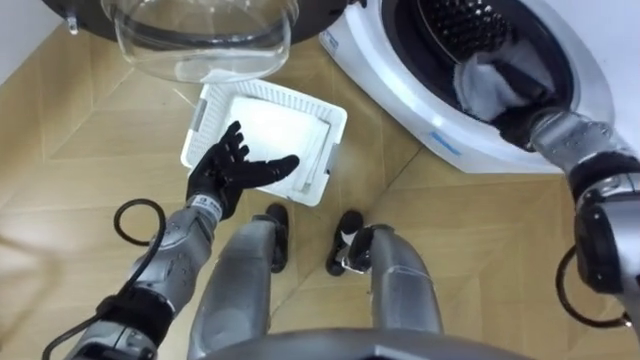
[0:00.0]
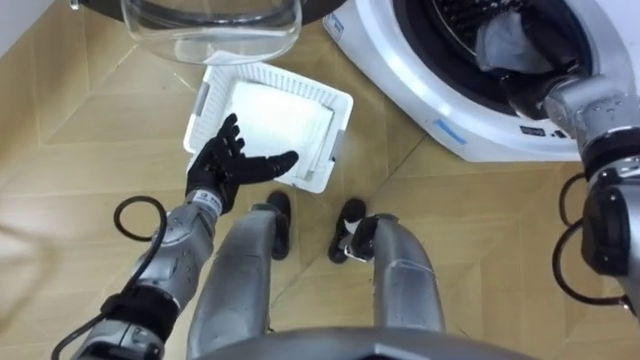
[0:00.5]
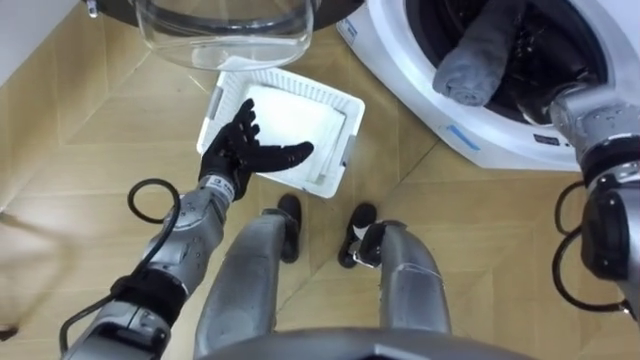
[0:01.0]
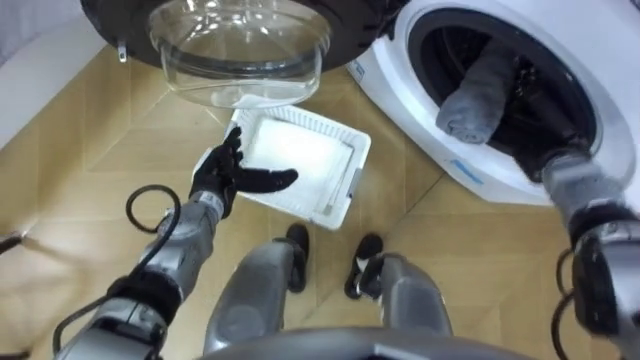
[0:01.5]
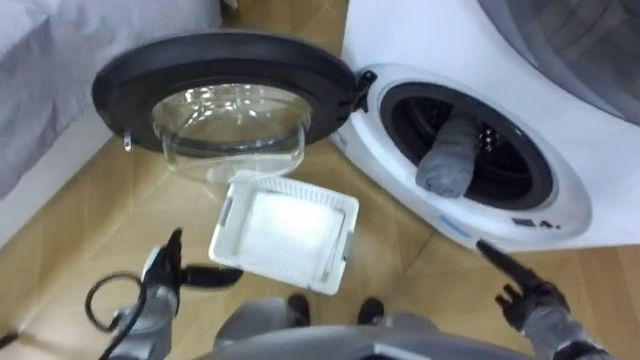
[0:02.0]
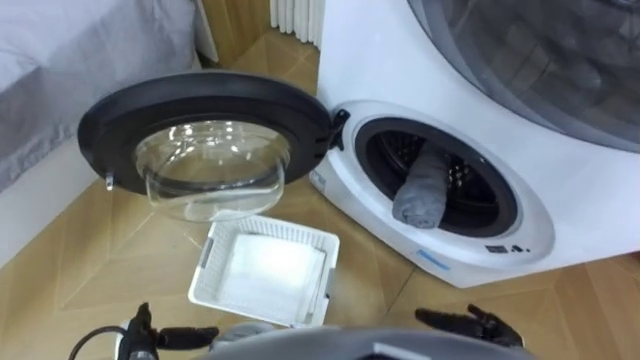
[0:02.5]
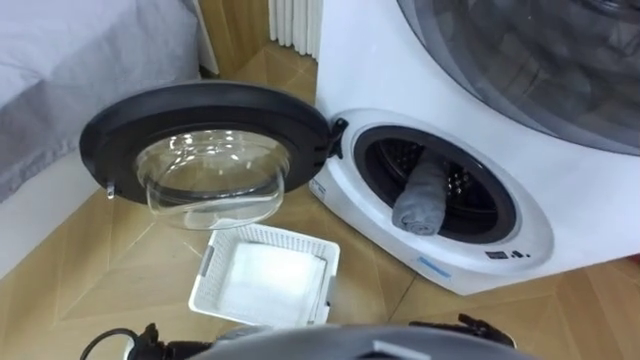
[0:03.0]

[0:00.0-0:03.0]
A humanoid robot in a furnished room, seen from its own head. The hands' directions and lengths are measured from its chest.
Task of the whole recording: Take the towel from the basket and put it into the washing machine.
0:00.0 to 0:01.5: The right hand changes place by some 5 cm, and opens.
0:01.5 to 0:03.0: The right hand is displaced backward and downward by approximately 30 cm.

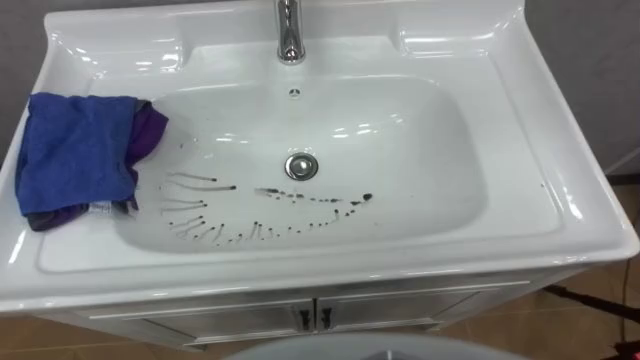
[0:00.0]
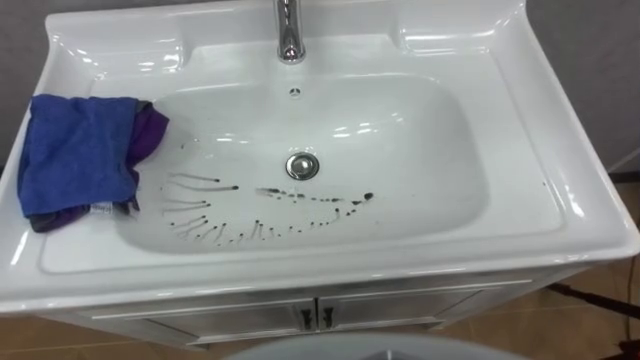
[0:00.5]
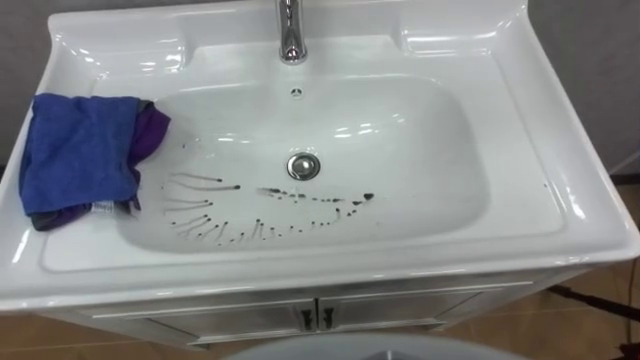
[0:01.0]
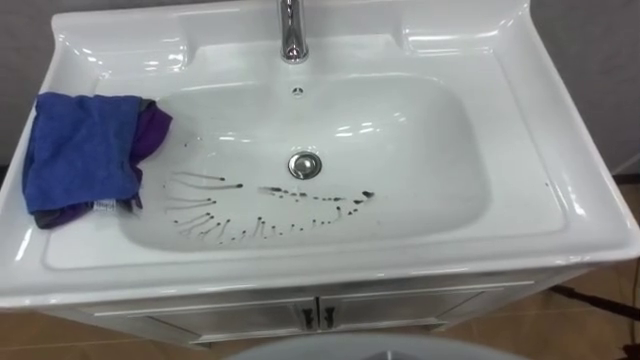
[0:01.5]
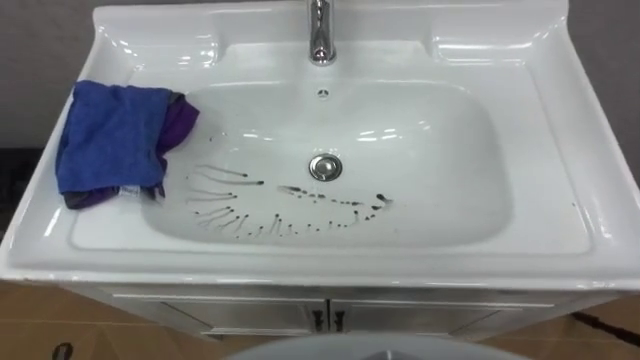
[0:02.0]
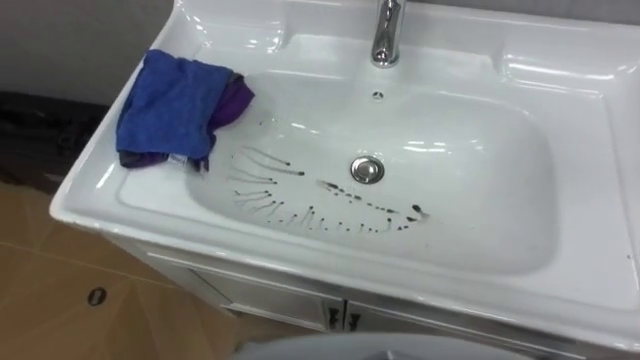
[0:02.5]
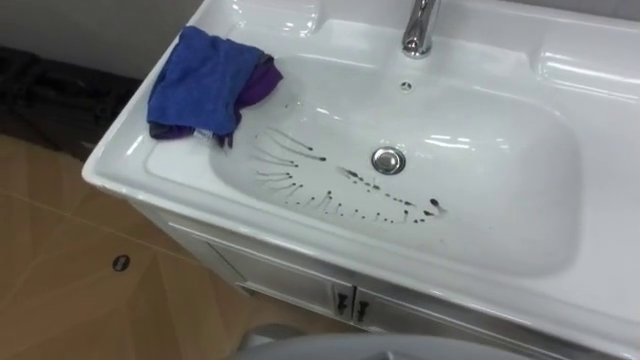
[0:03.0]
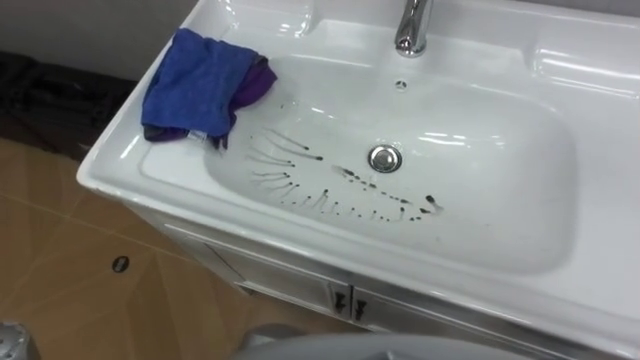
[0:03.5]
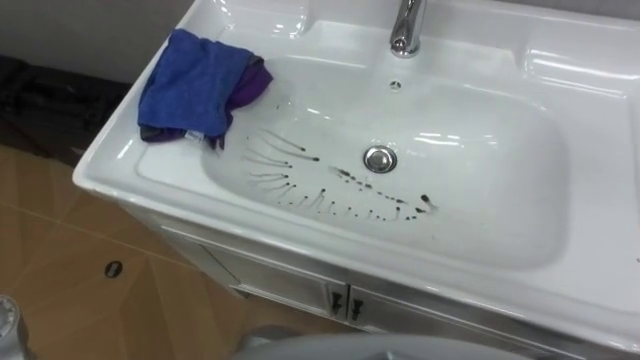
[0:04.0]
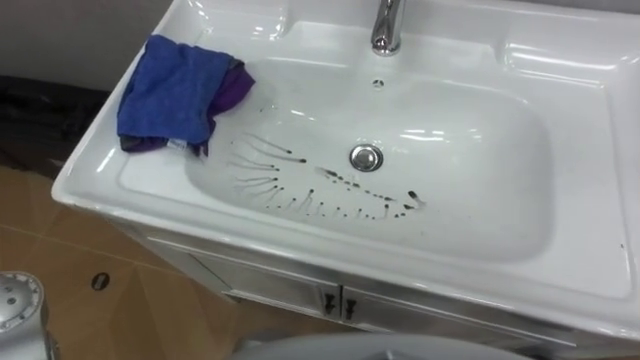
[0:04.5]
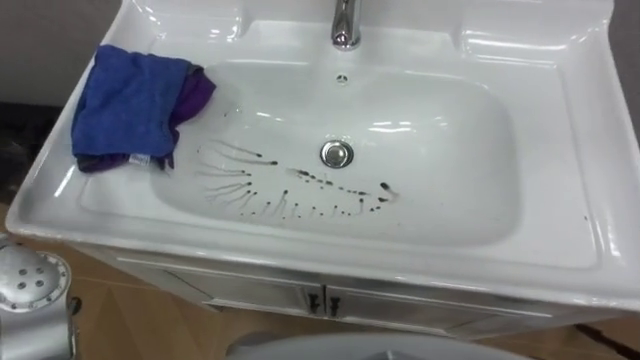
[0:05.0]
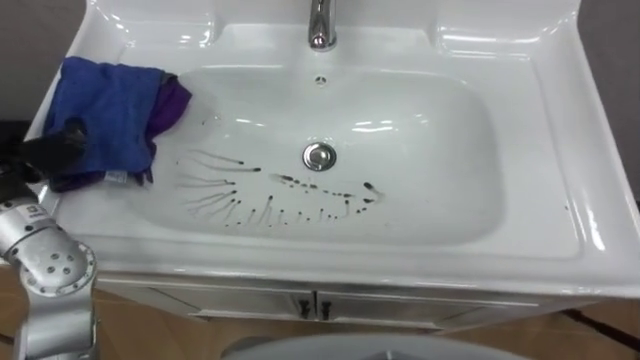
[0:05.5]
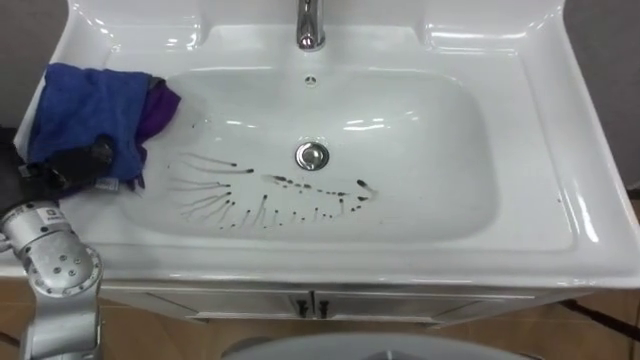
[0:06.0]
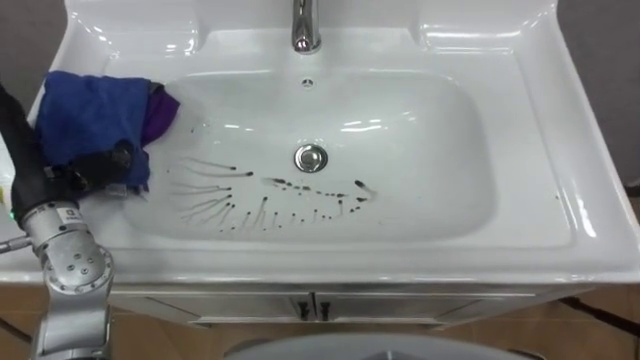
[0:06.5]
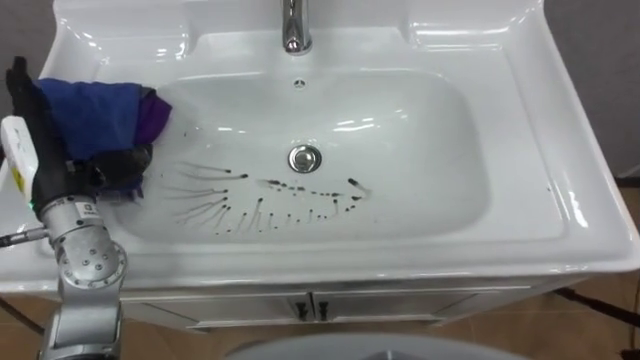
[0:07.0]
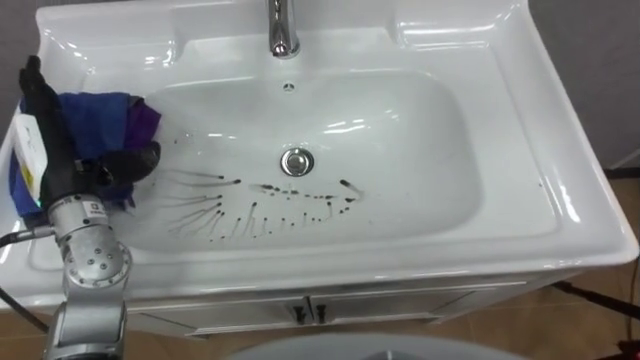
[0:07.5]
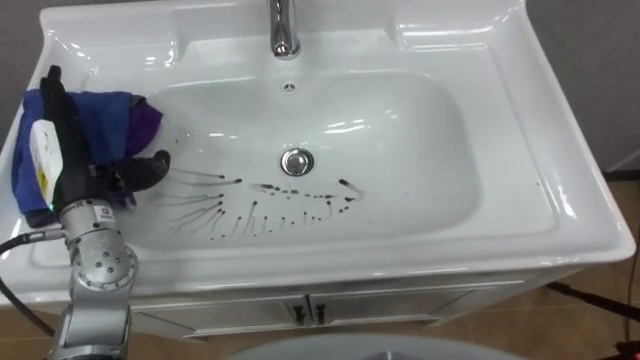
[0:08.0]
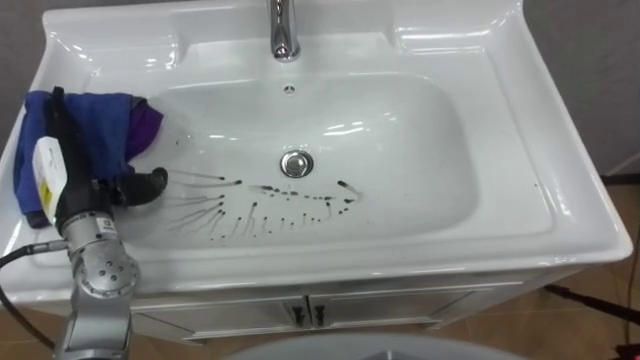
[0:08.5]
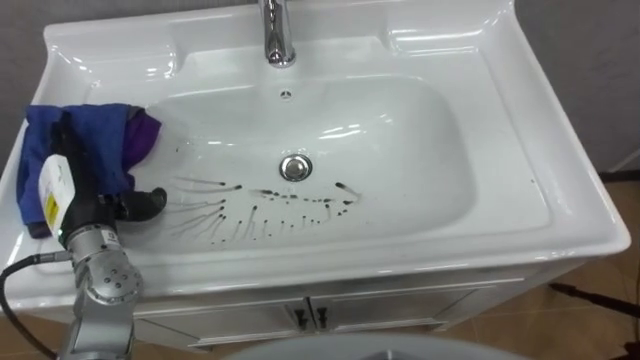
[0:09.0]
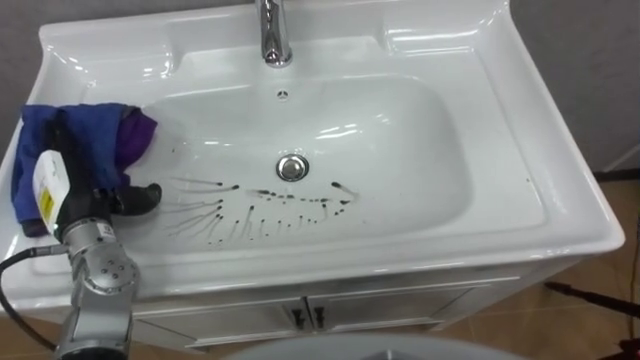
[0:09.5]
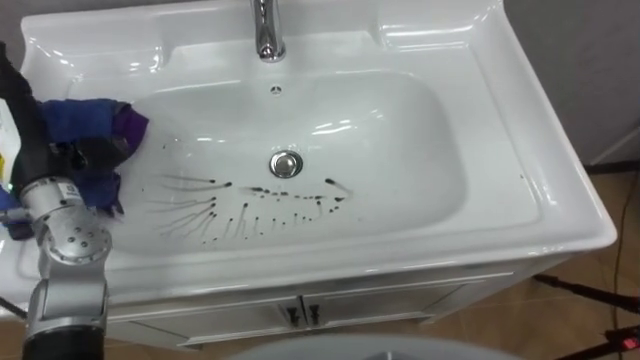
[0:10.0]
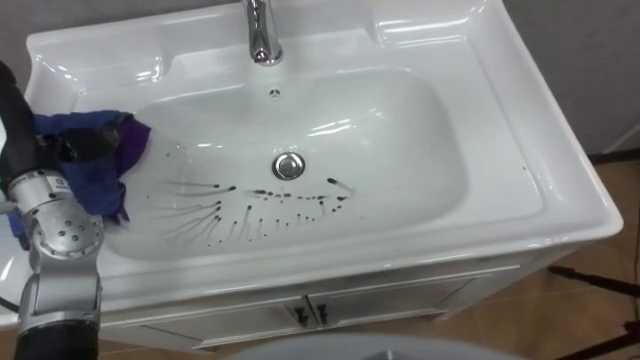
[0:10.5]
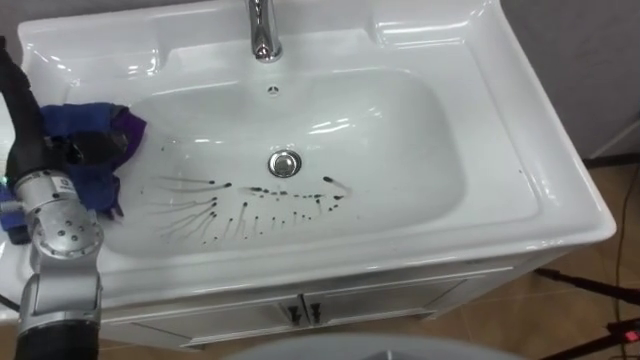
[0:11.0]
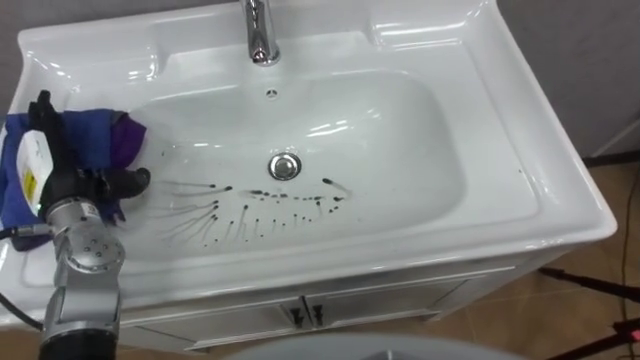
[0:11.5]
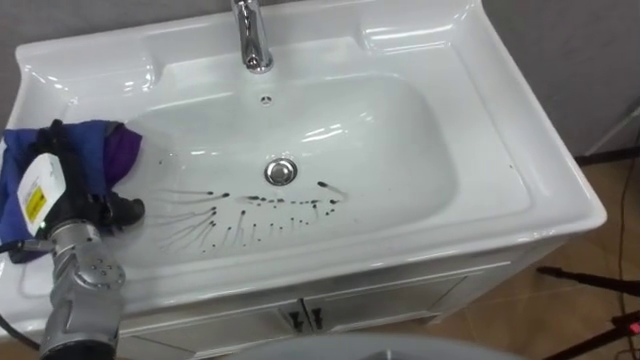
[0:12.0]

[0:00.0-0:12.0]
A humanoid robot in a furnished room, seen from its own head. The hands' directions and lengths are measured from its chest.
Task of the whole recording: Use the cloth on the right to wipe away the black stain in the sink.
0:10.0 to 0:12.0: The left hand shifts roughly 10 cm downward.

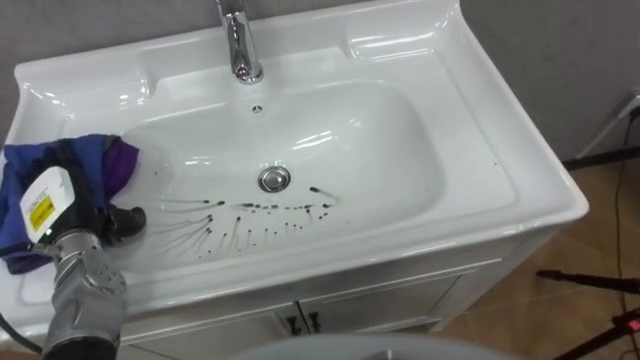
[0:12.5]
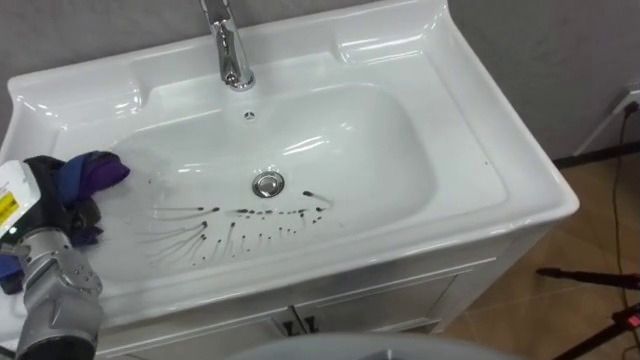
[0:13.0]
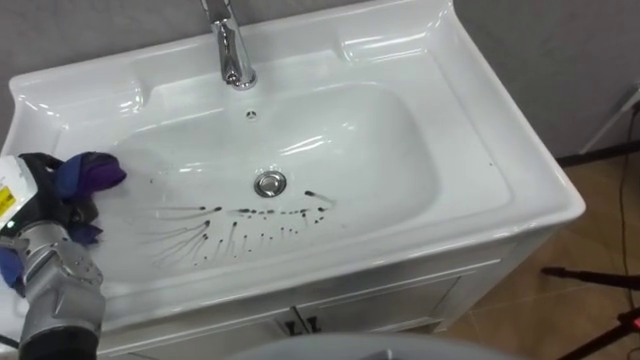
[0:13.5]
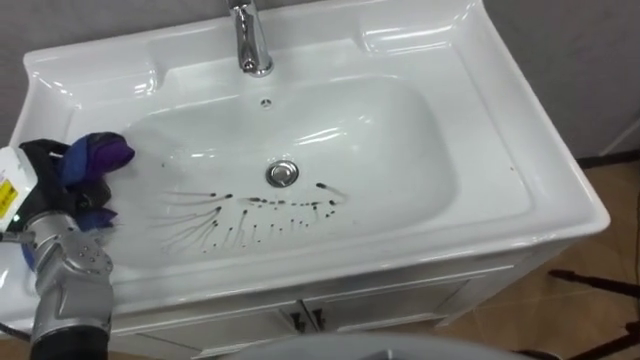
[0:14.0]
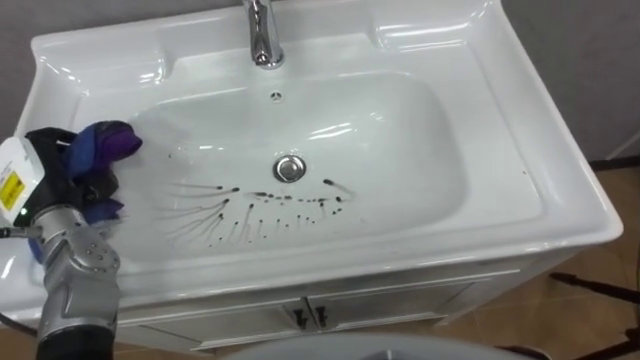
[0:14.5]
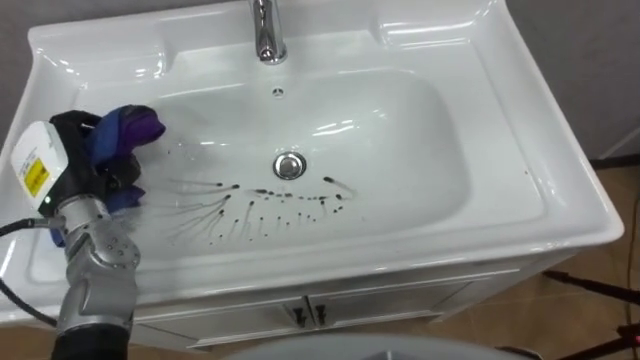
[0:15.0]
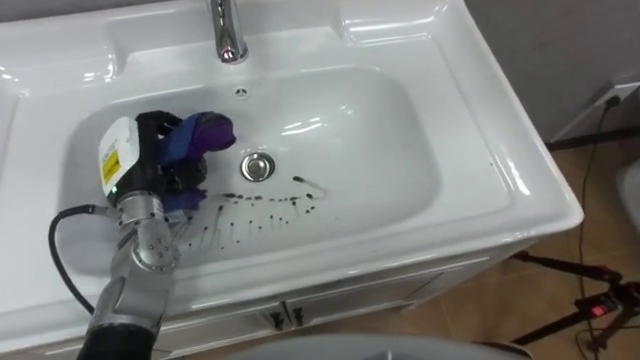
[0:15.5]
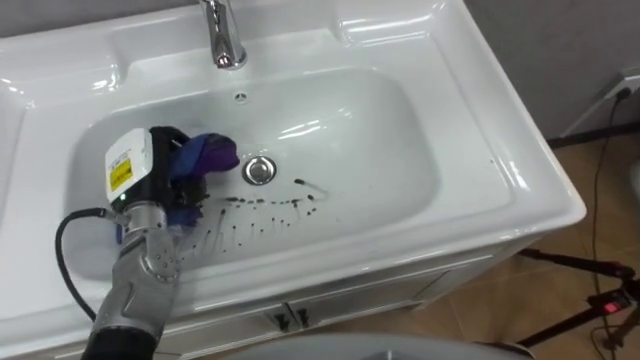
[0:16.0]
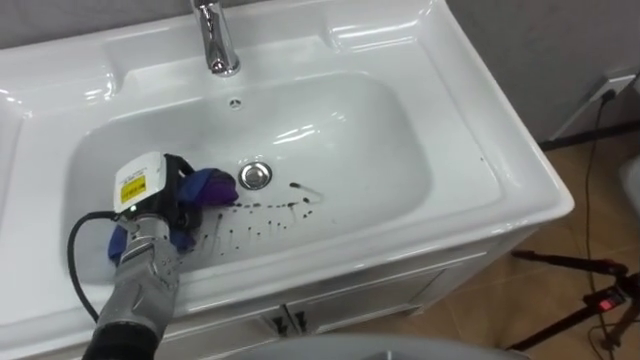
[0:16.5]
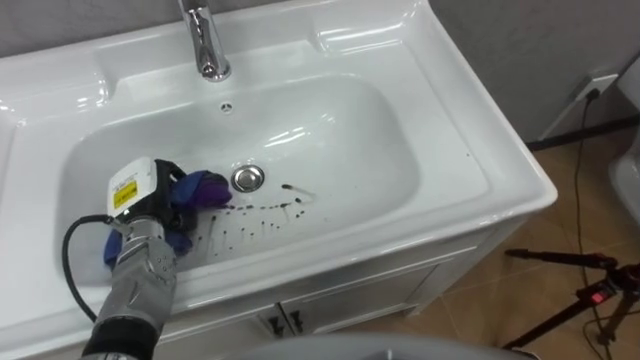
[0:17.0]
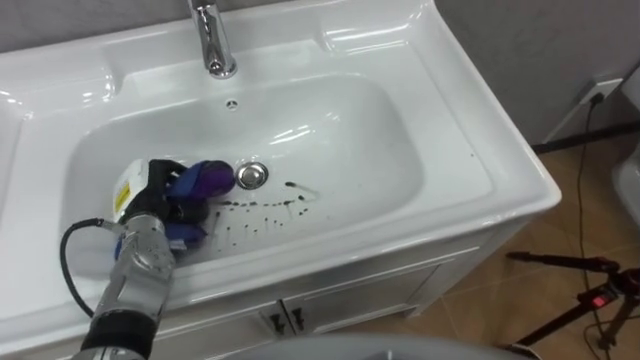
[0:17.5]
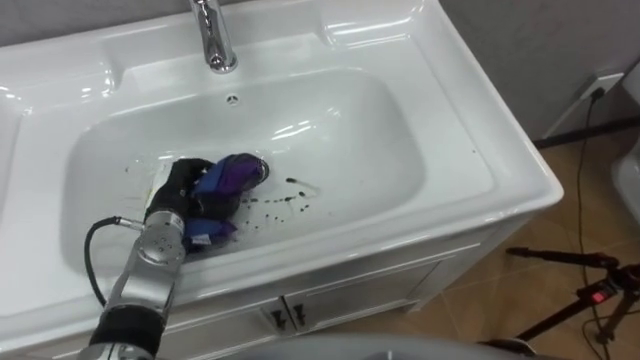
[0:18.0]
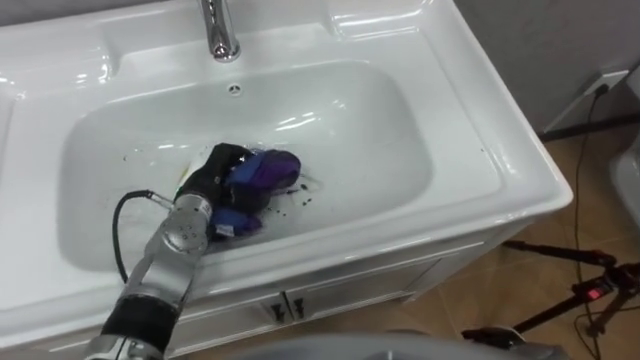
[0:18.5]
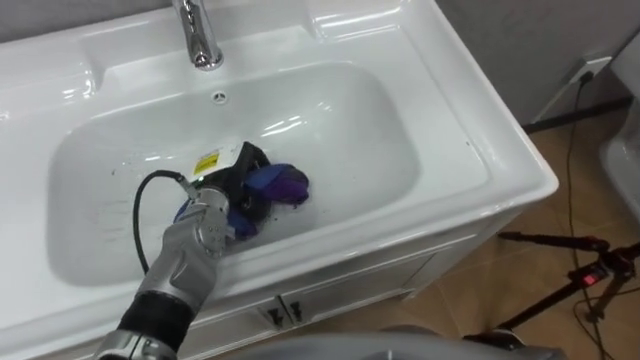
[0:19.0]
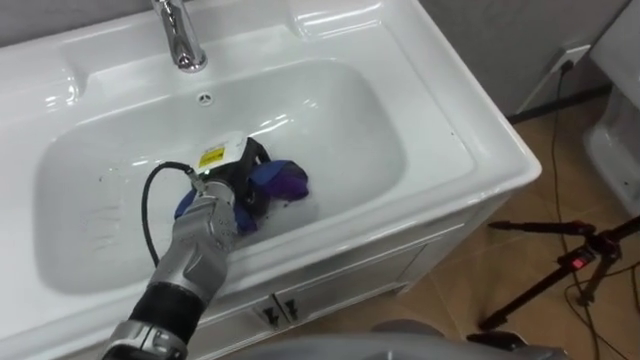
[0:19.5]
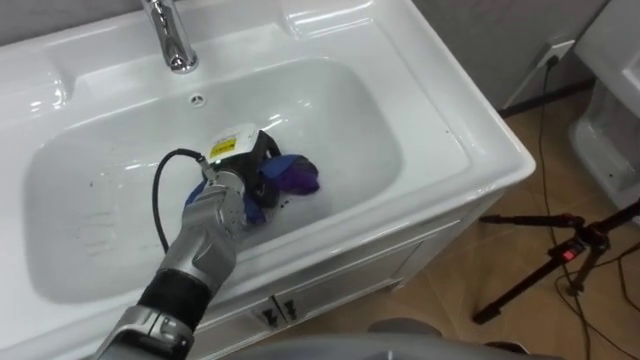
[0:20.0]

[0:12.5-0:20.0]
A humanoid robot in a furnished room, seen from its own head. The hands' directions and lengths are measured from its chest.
Task of the whole recording: Use the cloth on the right to wipe away the black stain in the sink.
0:12.5 to 0:14.5: The left hand shifts about 5 cm upward, and closes.
0:14.5 to 0:16.5: The left hand goes some 10 cm to the right and downward.
0:18.0 to 0:20.0: The left hand moves to the right, approximately 10 cm.
